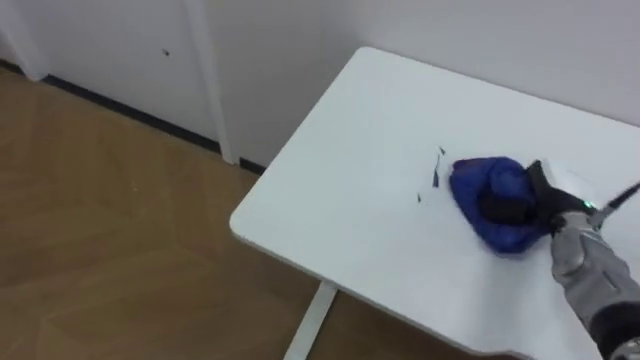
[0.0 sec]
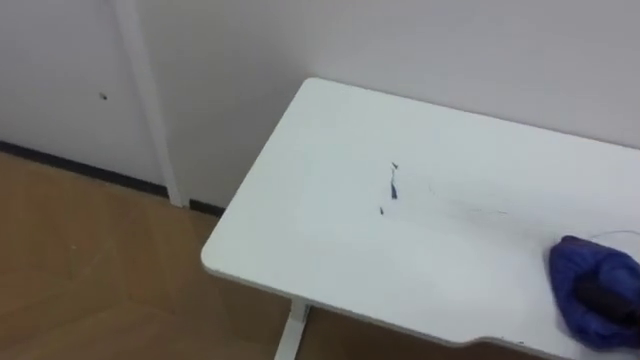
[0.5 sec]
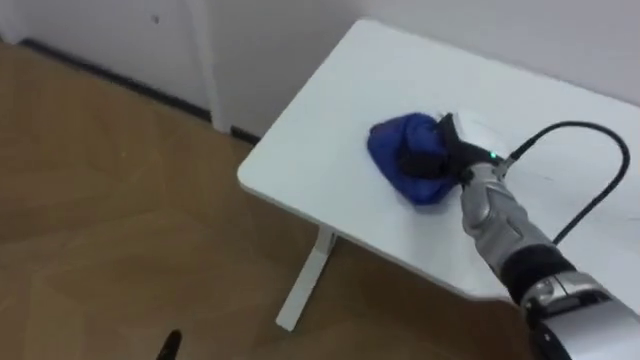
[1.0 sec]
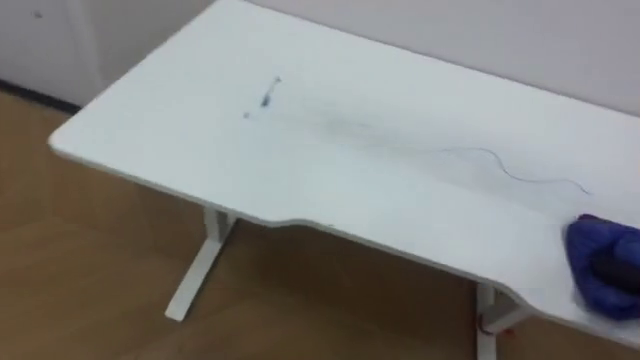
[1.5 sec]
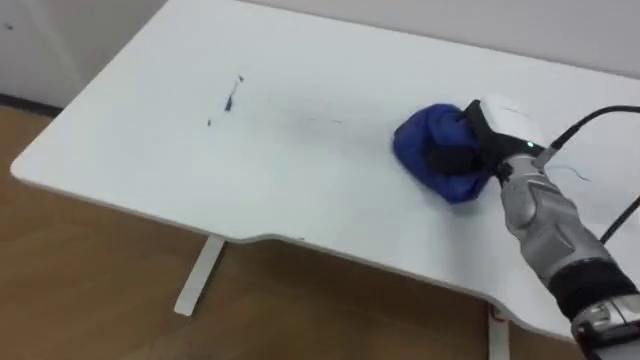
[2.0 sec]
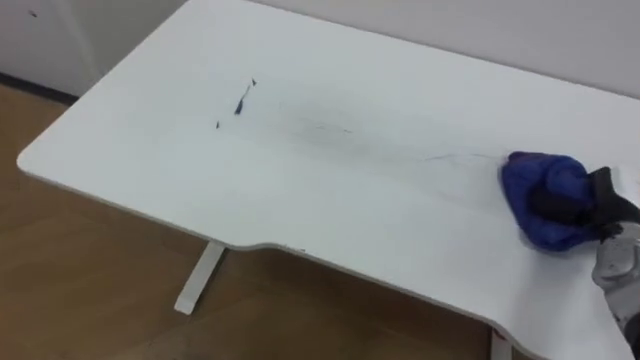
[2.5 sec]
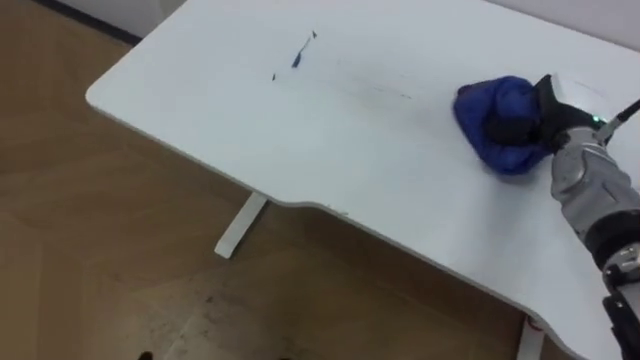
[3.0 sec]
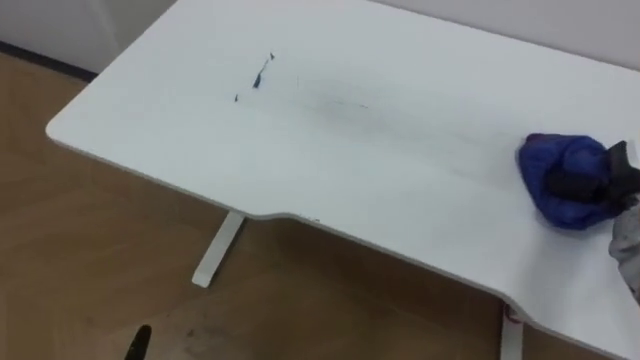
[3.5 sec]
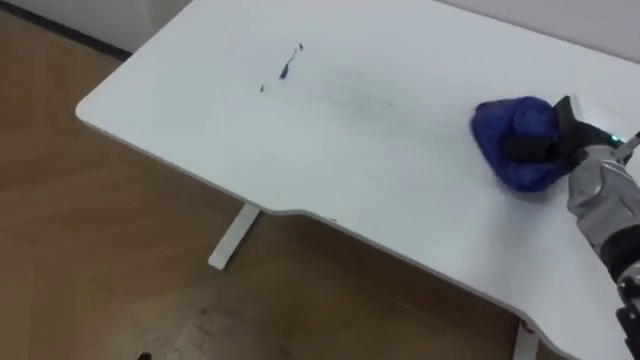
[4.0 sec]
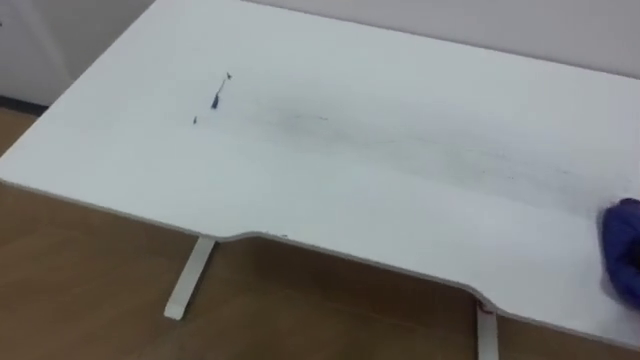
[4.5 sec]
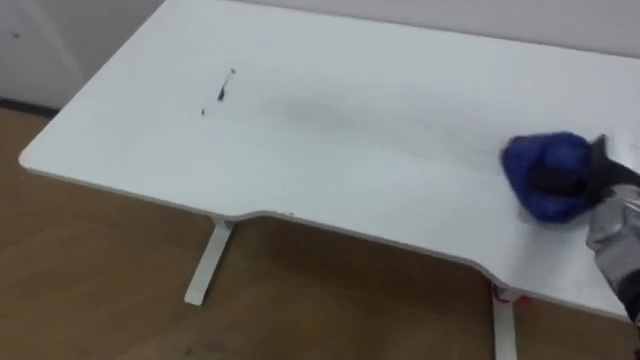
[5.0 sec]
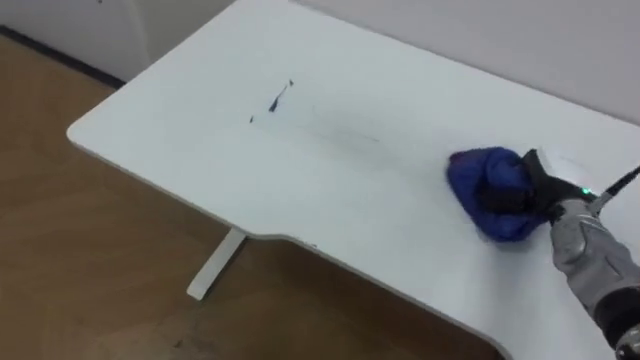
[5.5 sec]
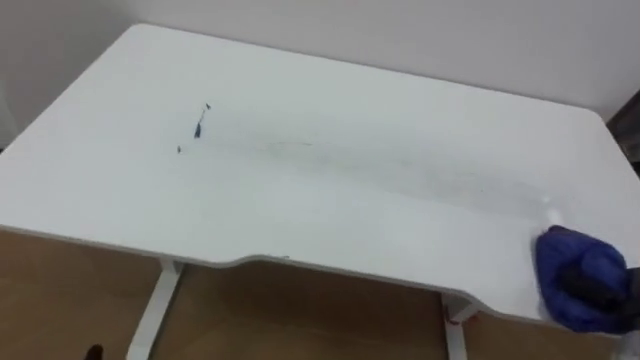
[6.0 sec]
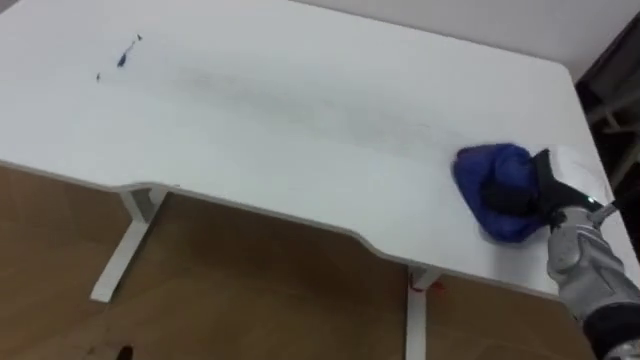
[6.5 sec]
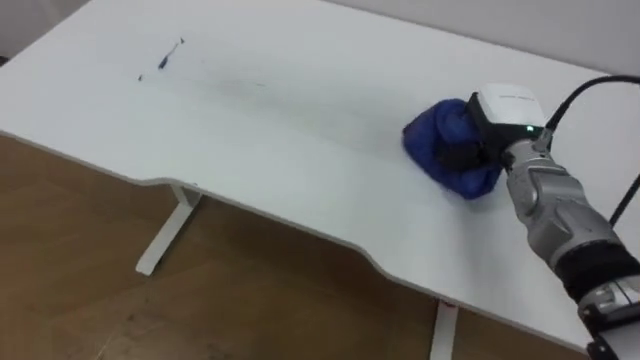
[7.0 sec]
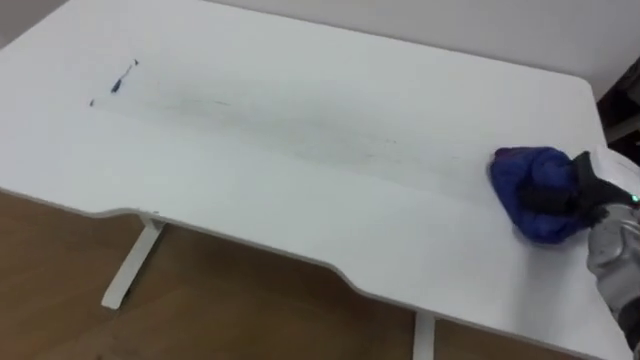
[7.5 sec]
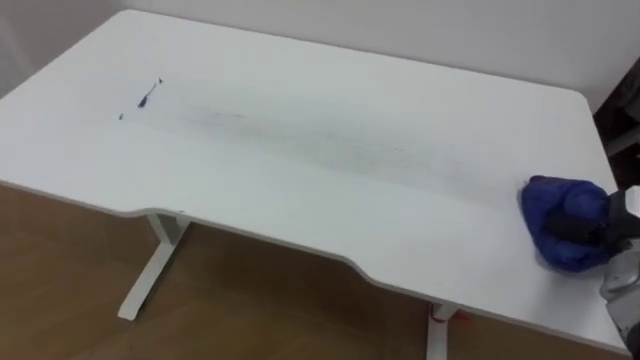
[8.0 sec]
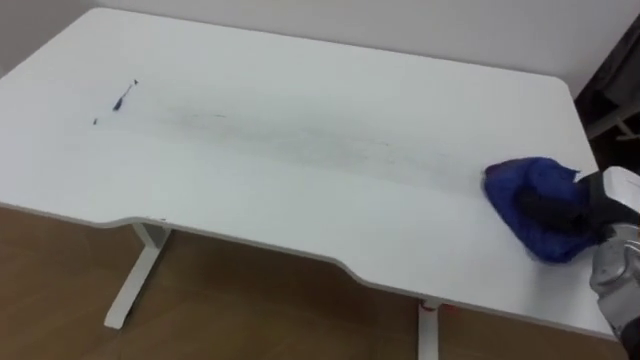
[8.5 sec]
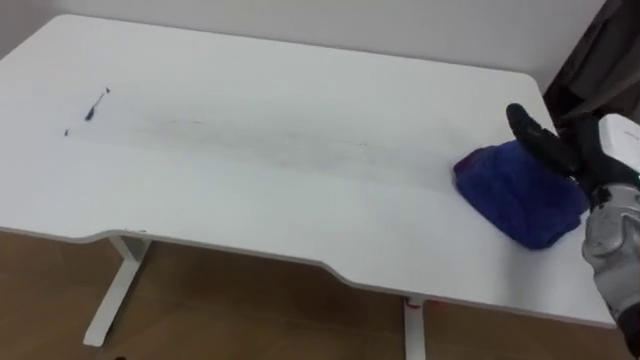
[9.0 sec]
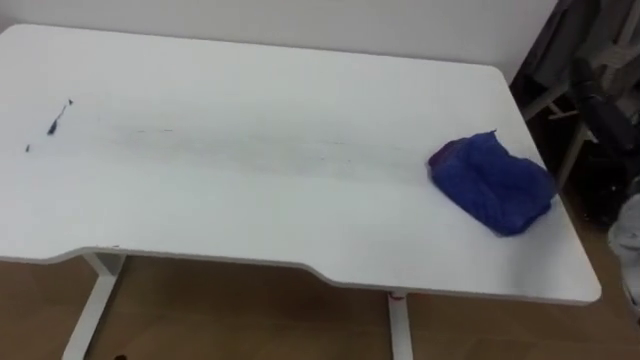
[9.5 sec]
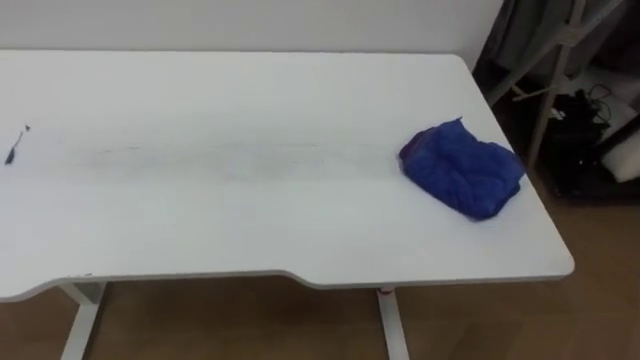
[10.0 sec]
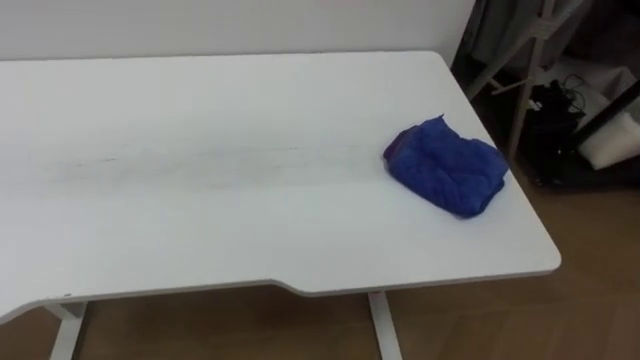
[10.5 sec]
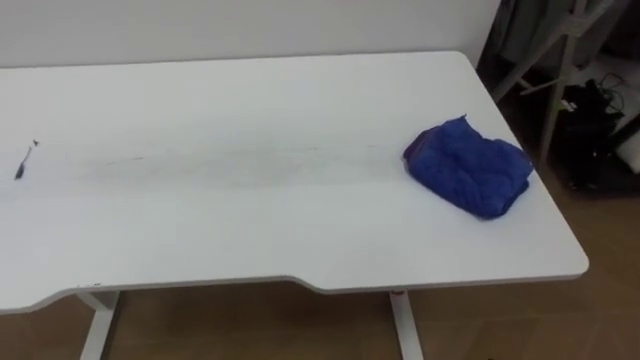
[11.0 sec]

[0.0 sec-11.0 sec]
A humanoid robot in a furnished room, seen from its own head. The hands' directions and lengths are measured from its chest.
Task of the whole recording: Wipe the blue pen marks off the table with the rag.
2.0 sec to 3.5 sec: The right hand goes left and right, some 15 cm each way, reversing 2 times.
5.5 sec to 7.5 sec: The right hand swings forward and backward, roughly 20 cm each way, with 2 reversals.
7.5 sec to 9.0 sec: The right hand opens up.

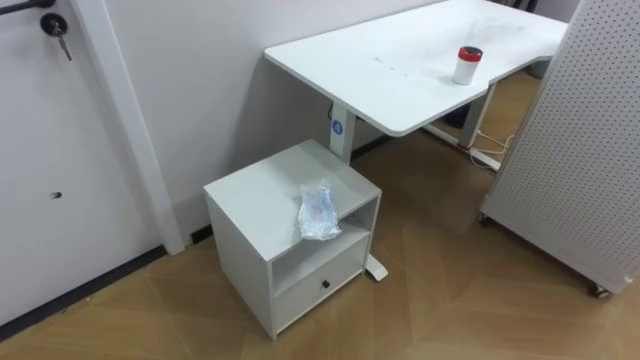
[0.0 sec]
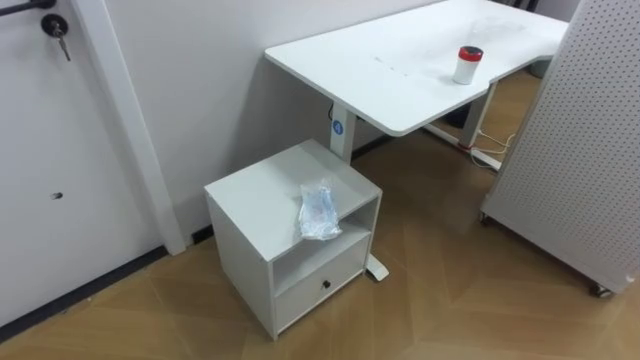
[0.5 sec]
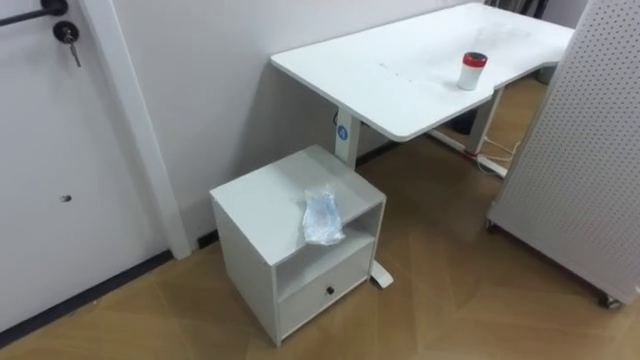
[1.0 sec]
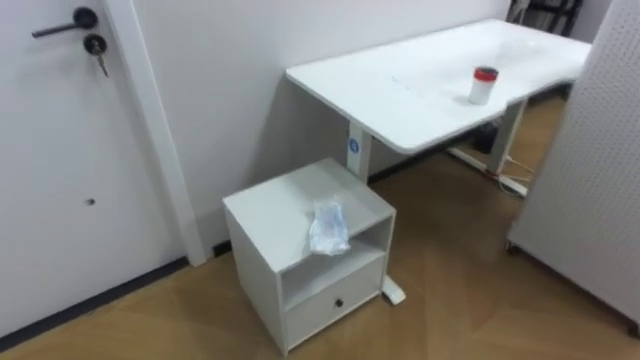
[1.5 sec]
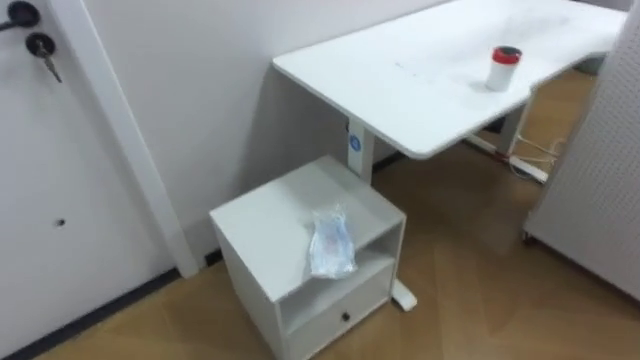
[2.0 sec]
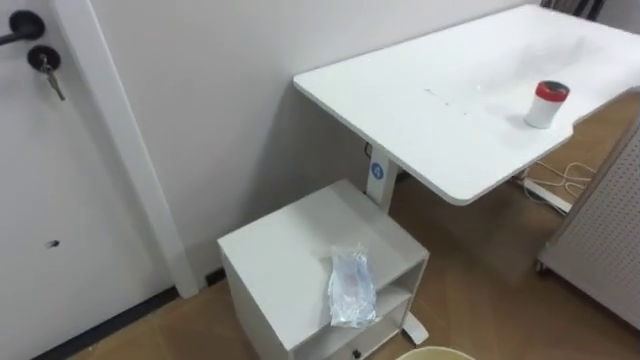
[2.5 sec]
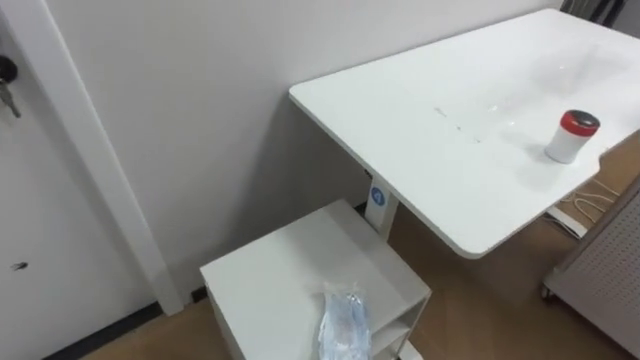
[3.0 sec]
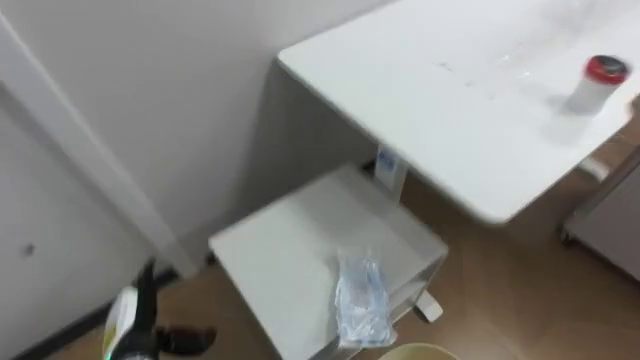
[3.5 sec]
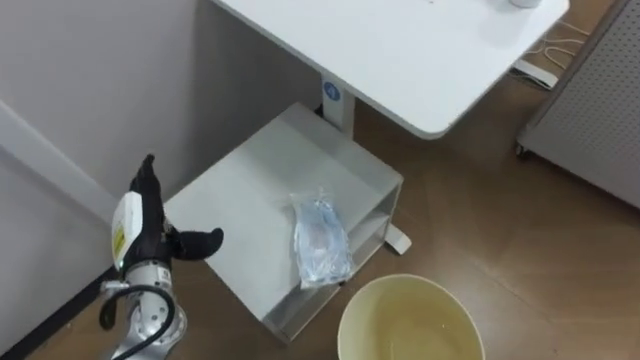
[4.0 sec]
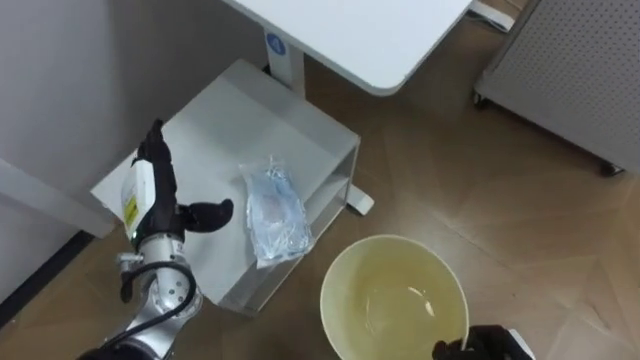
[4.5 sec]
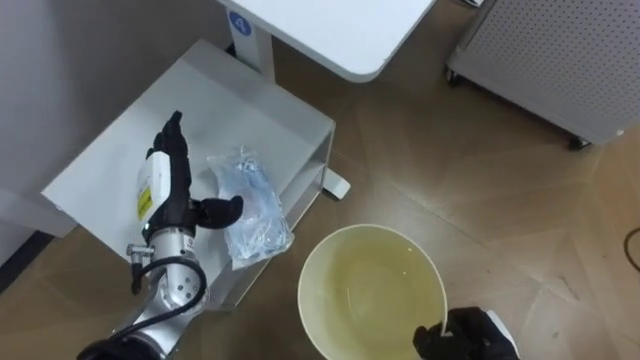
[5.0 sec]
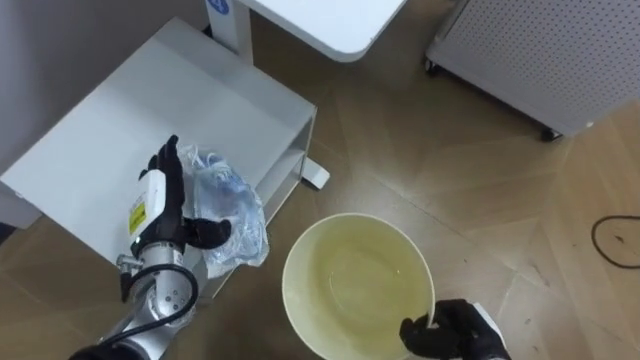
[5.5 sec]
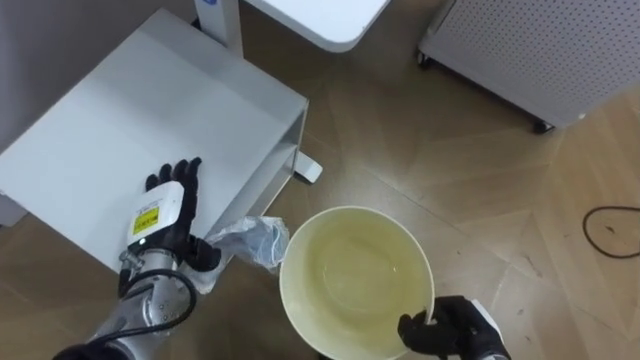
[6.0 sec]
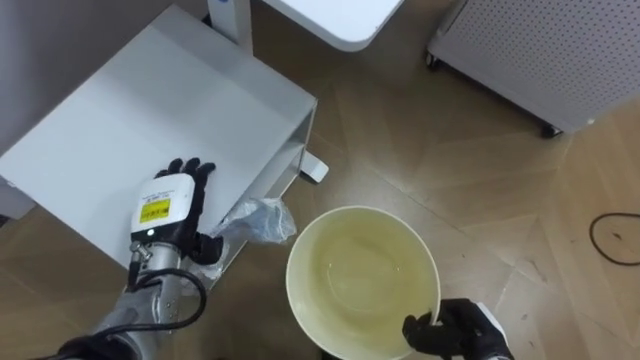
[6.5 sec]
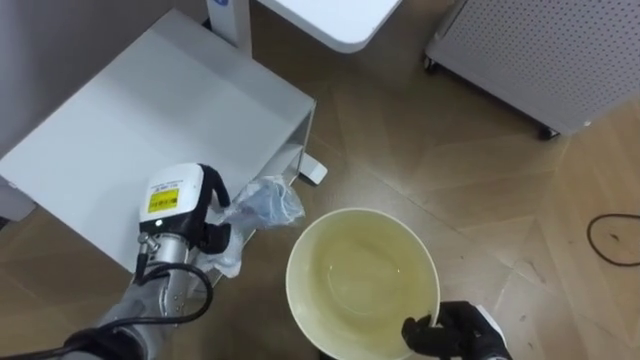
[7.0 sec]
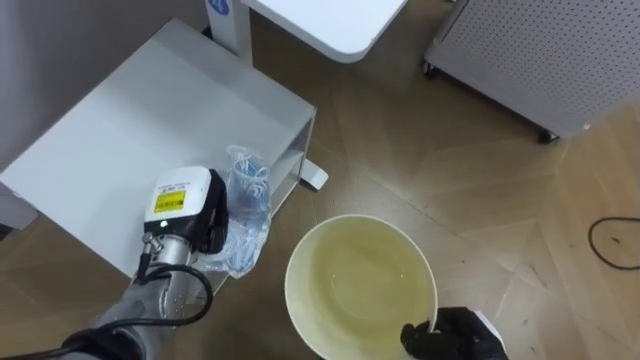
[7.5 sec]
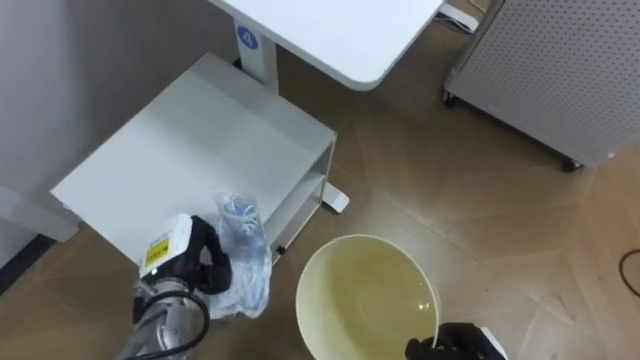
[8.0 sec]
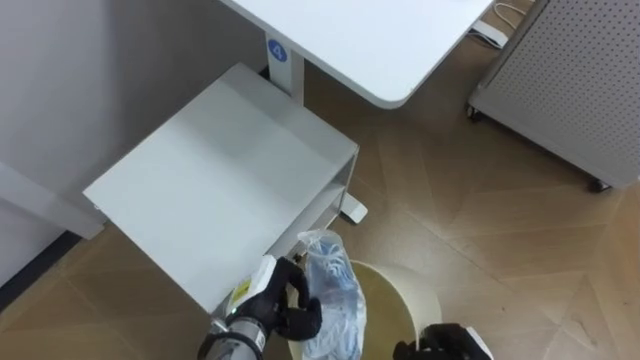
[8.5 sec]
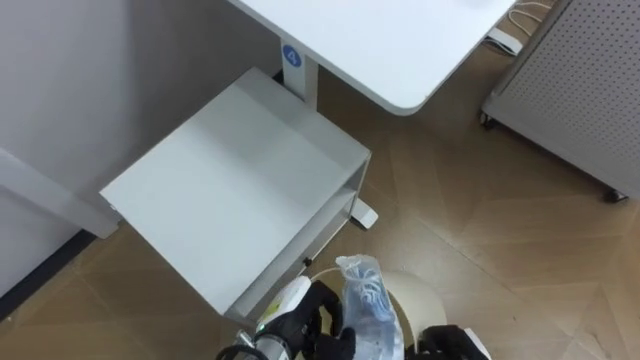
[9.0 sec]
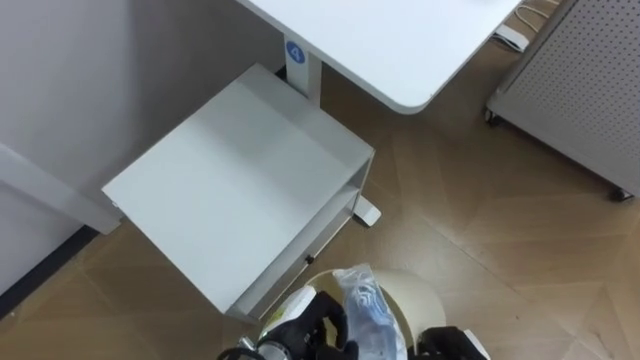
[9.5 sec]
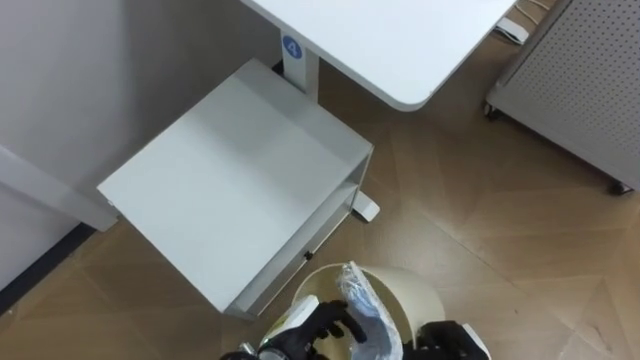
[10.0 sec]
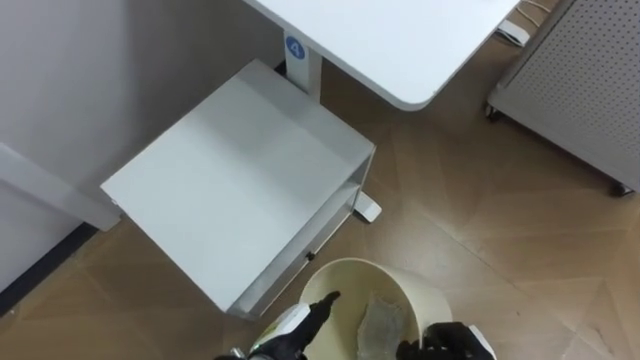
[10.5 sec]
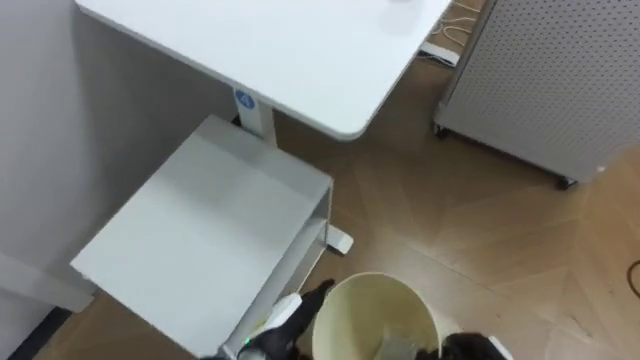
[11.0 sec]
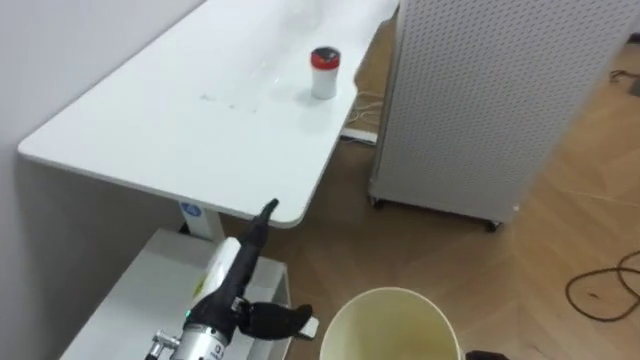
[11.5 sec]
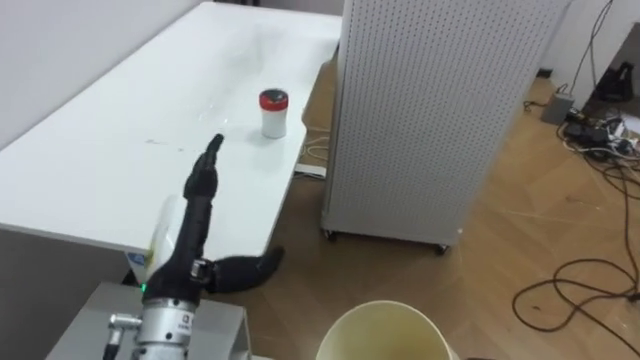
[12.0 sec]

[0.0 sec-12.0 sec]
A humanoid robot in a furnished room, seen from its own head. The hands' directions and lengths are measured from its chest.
Task of the whole recording: Pick up the light blue package, the candy box, and the dark blue package separately, and put them into the trash can held in your right hand.
6.0 sec to 8.0 sec: The left hand closes.
8.0 sec to 10.0 sec: The left hand goes roughly 20 cm to the right and backward, and opens.
10.0 sec to 12.0 sec: The robot rotates some 35 degrees to its right. The left hand moves upward and to the left, approximately 20 cm.
